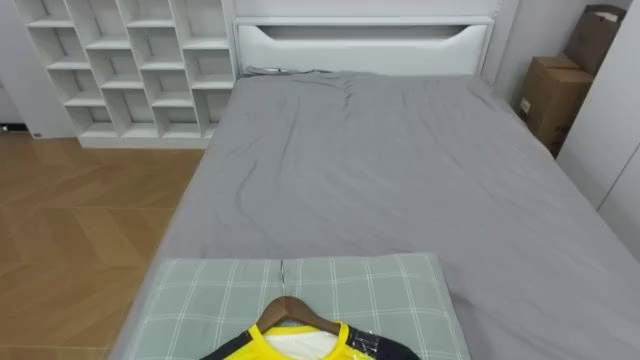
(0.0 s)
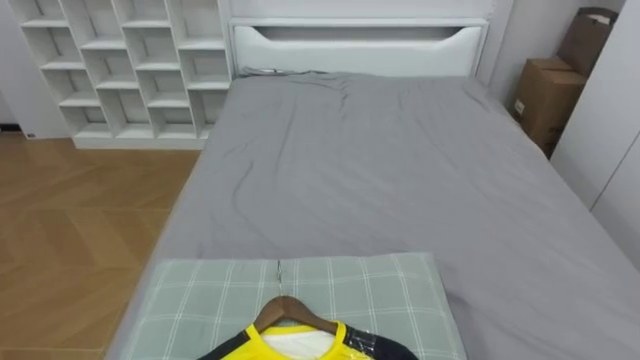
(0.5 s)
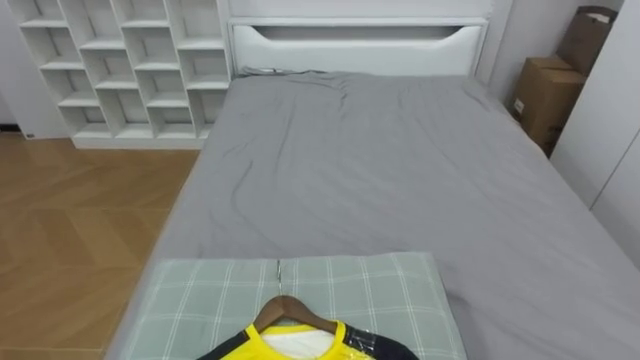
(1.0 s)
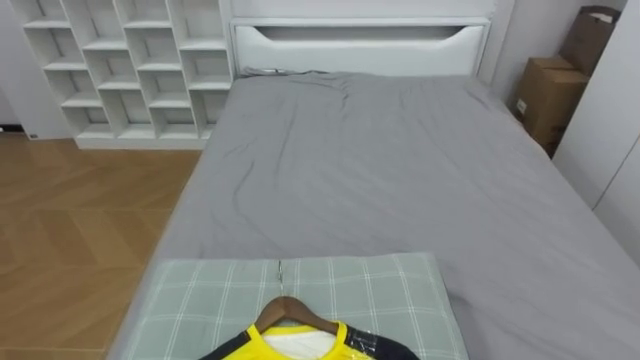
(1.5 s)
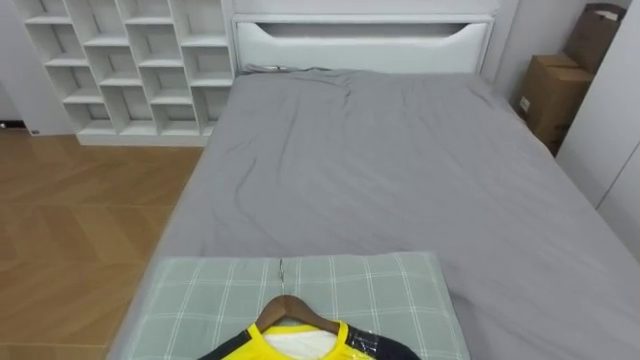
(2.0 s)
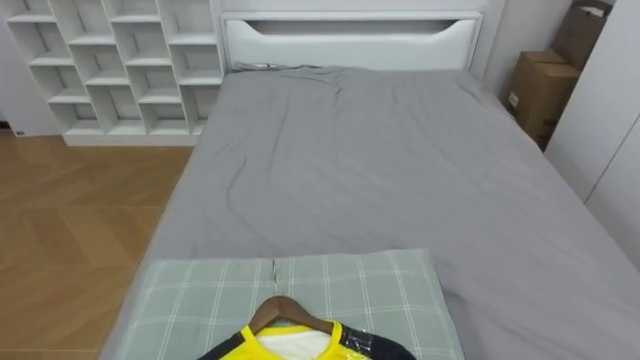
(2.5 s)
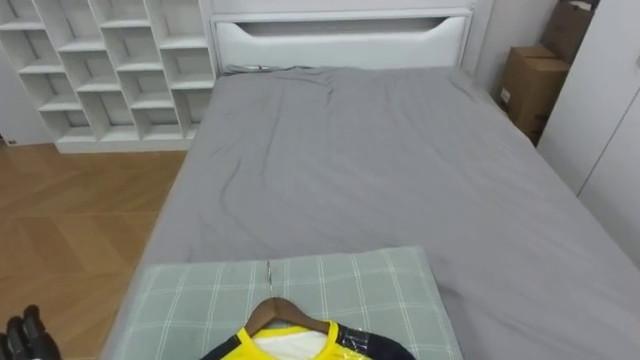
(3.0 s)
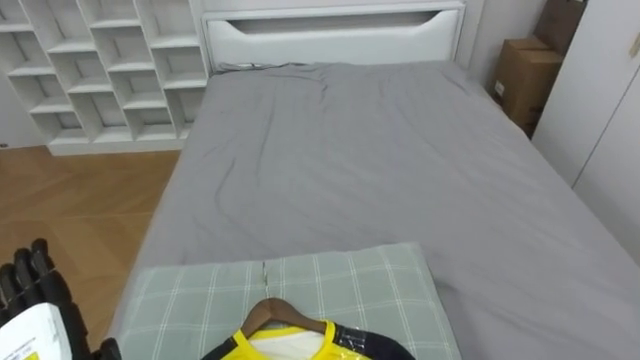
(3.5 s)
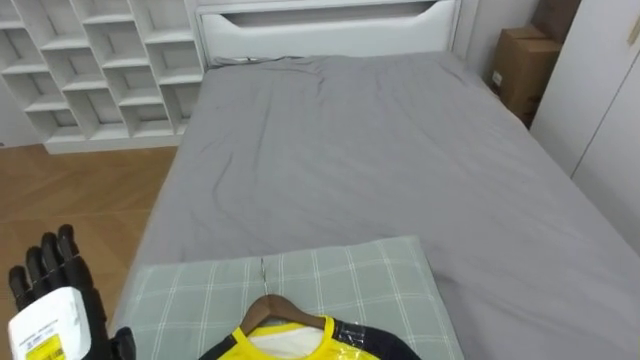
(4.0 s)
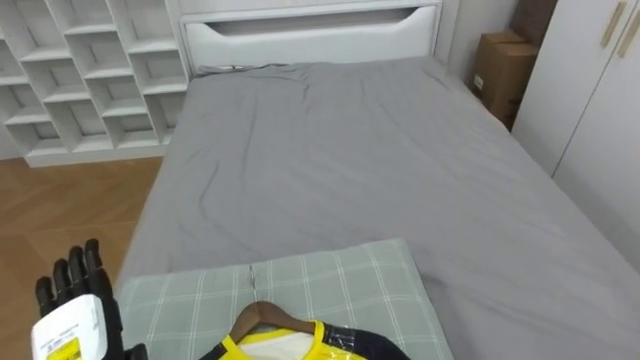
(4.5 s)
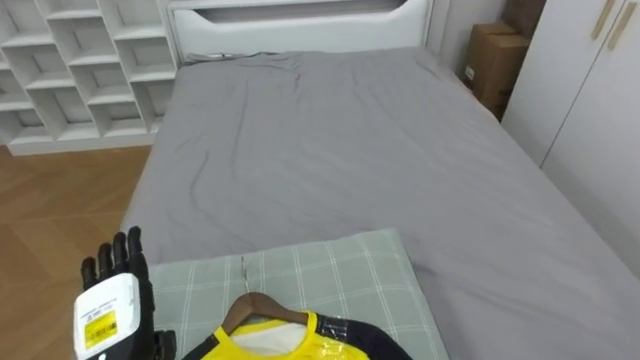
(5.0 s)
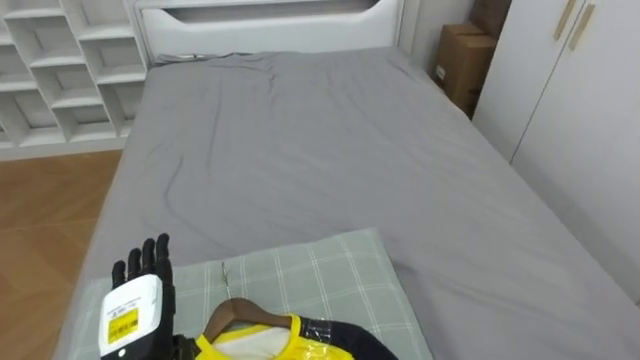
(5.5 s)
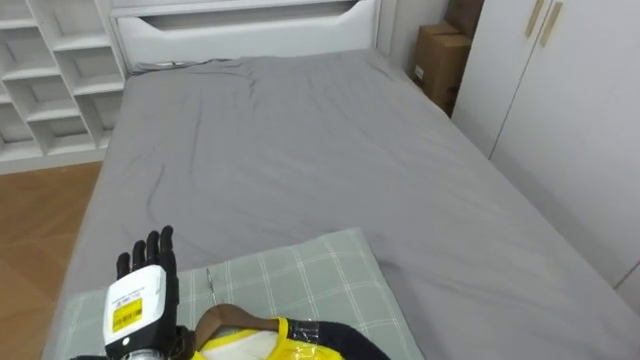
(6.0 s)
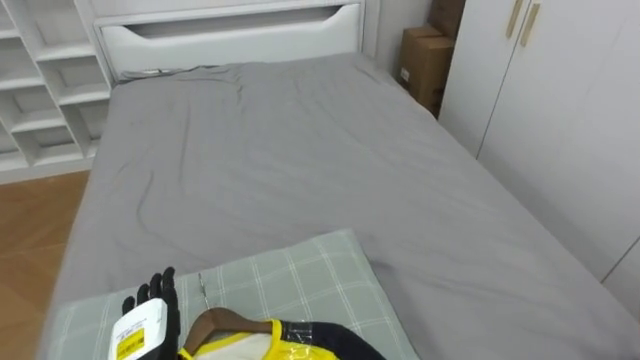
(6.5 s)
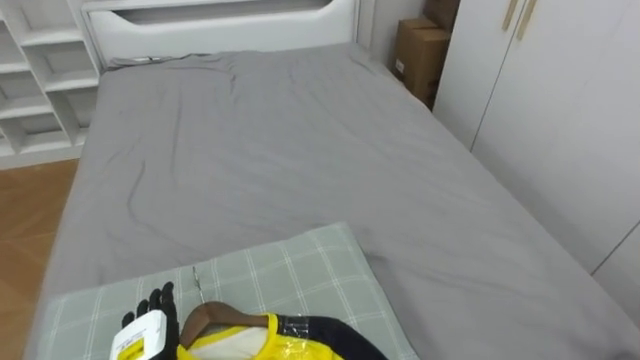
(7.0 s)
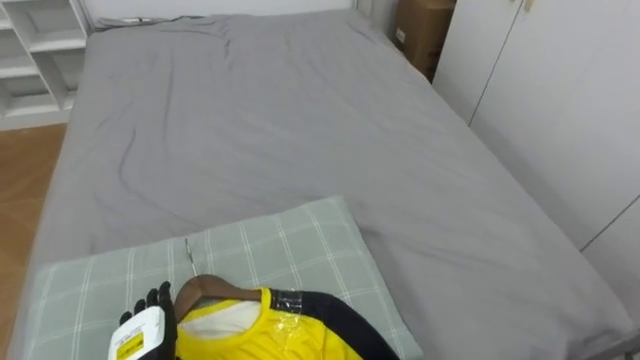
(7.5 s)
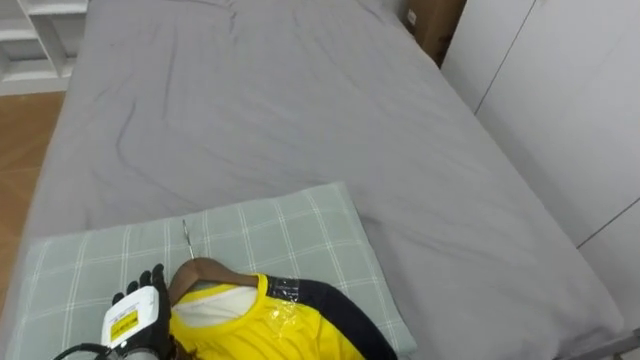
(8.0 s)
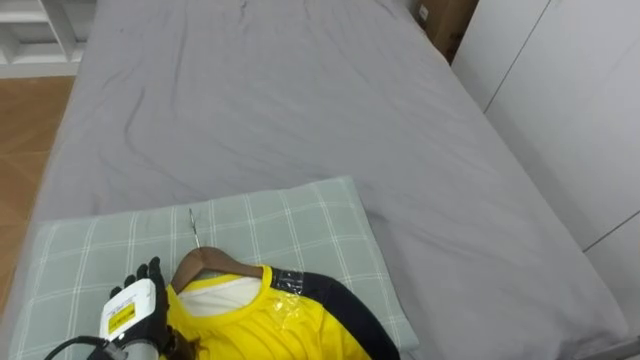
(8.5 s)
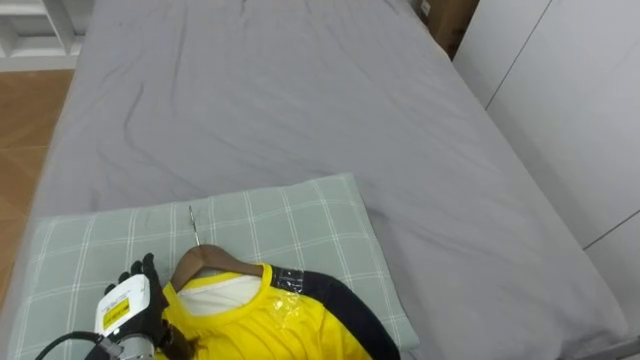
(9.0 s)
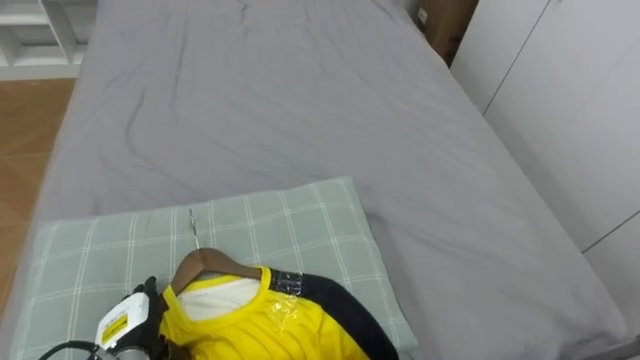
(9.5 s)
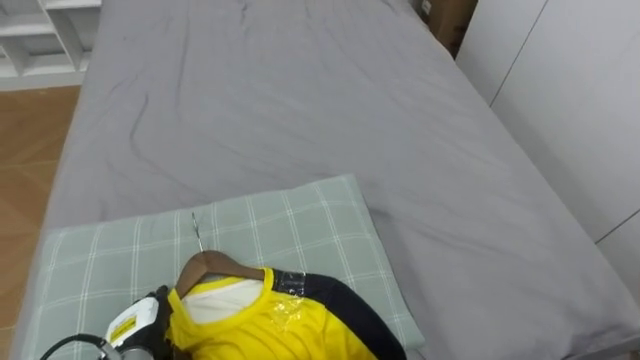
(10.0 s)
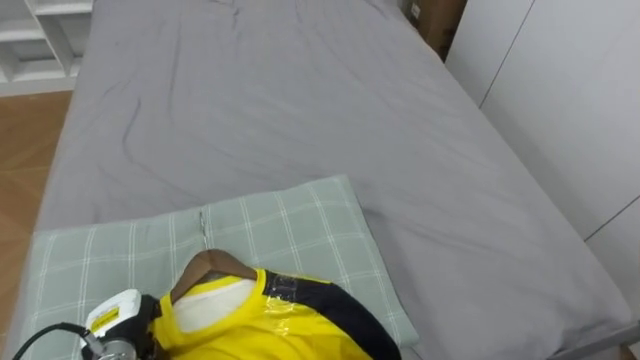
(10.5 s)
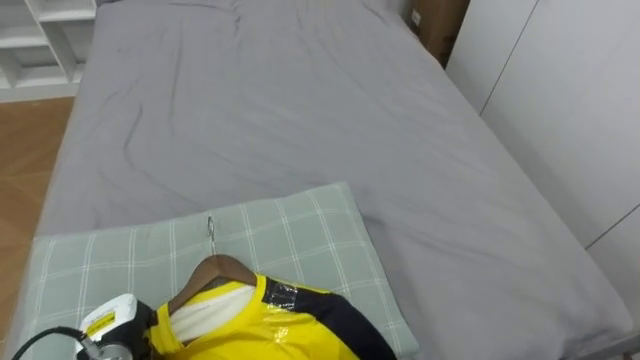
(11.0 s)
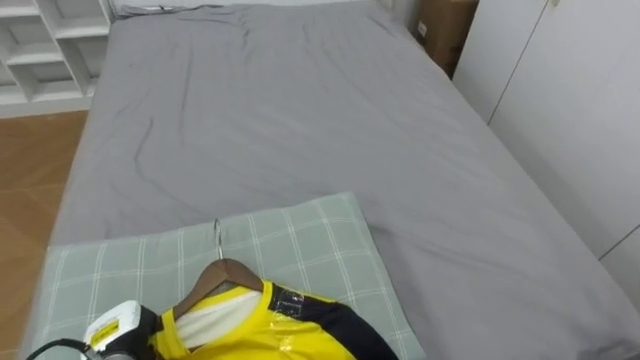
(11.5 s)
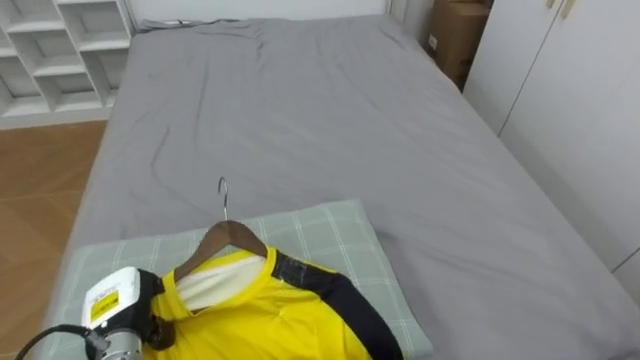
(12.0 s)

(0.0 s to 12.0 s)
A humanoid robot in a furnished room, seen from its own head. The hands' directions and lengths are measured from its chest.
Task of the whole recording: Pick up the yellow shirt on the bed and hang it on the clothes rack on the right.
4.0 s - 6.0 s: The left hand moves to the right and forward, about 10 cm.
6.0 s - 8.0 s: The left hand heads downward, covering roughly 5 cm.
10.0 s - 12.0 s: The left hand closes up.

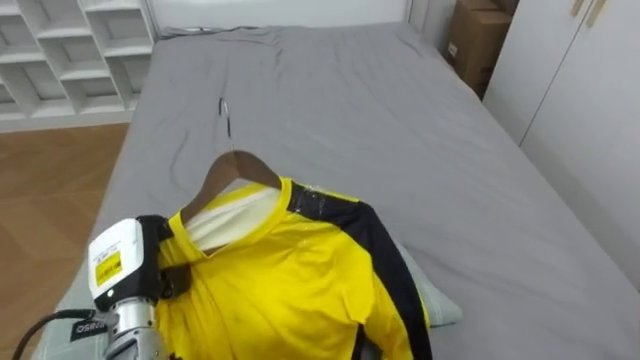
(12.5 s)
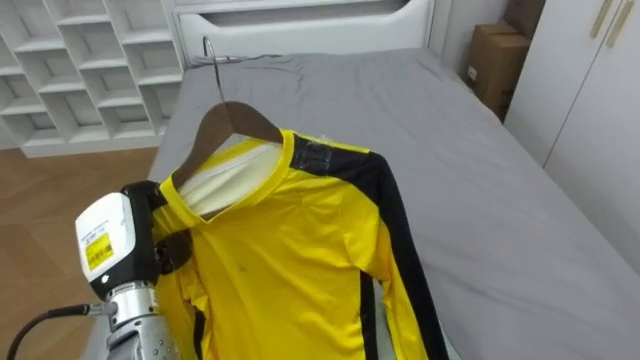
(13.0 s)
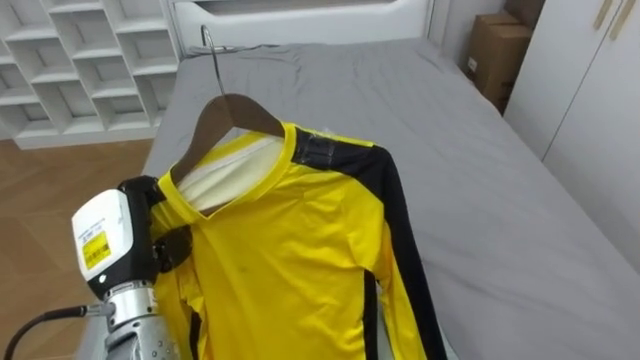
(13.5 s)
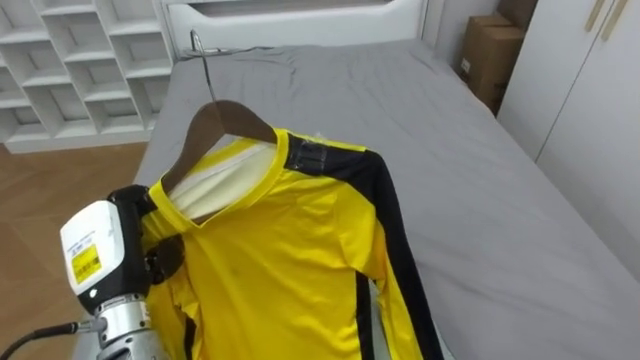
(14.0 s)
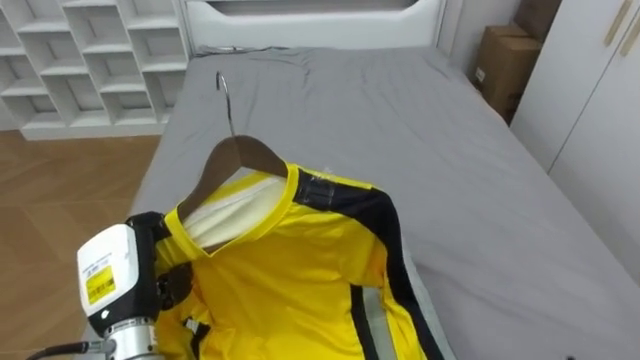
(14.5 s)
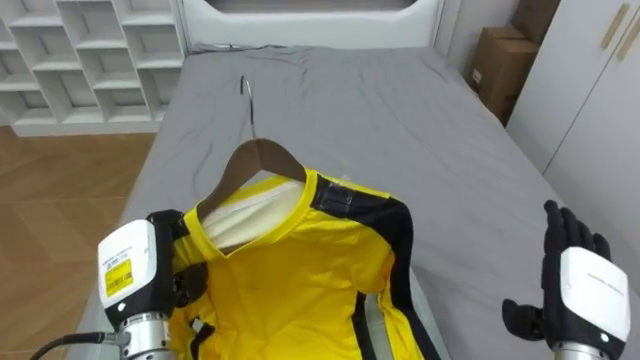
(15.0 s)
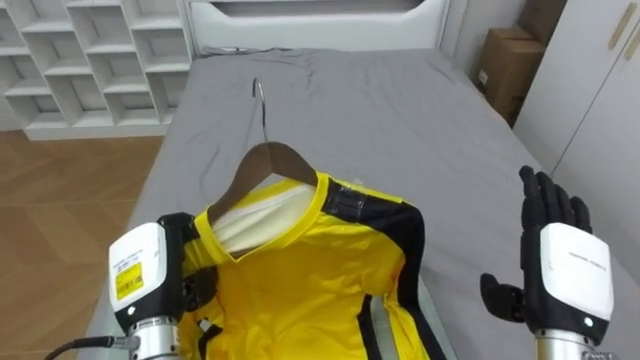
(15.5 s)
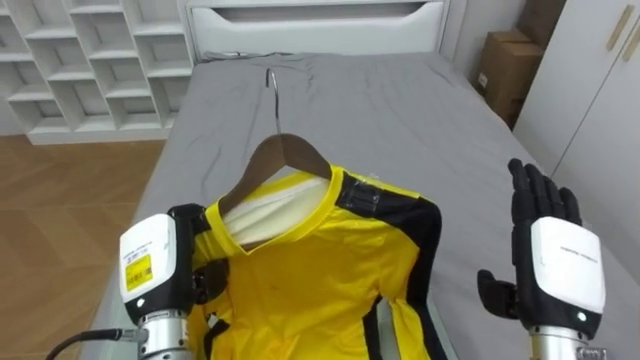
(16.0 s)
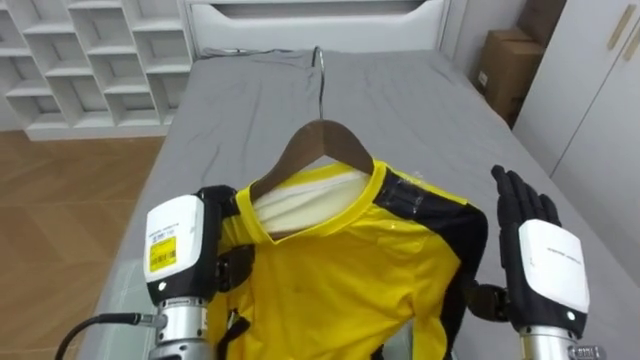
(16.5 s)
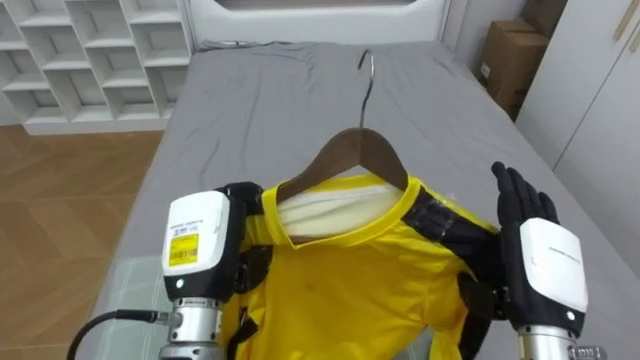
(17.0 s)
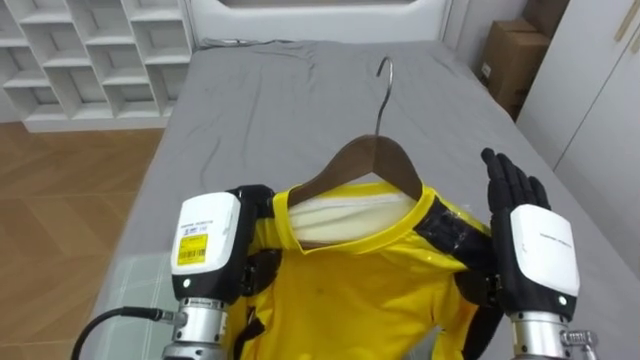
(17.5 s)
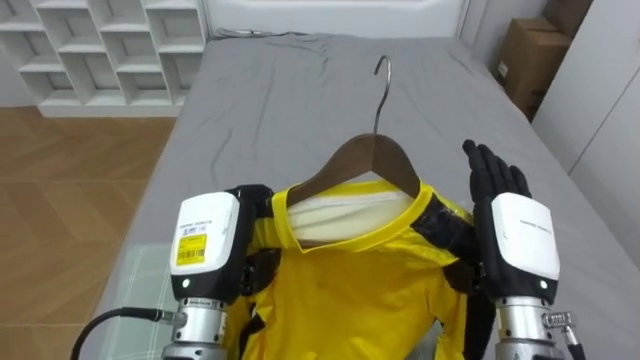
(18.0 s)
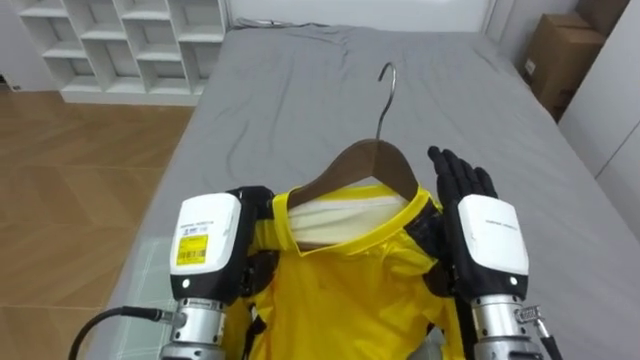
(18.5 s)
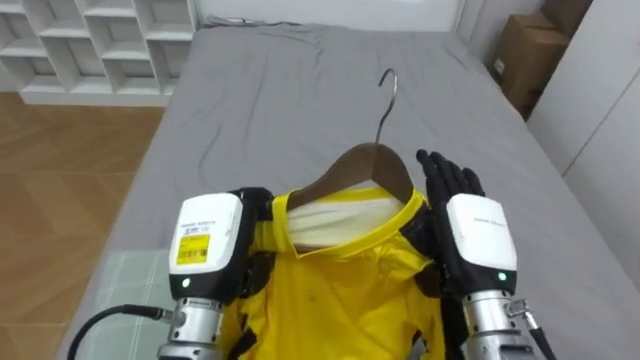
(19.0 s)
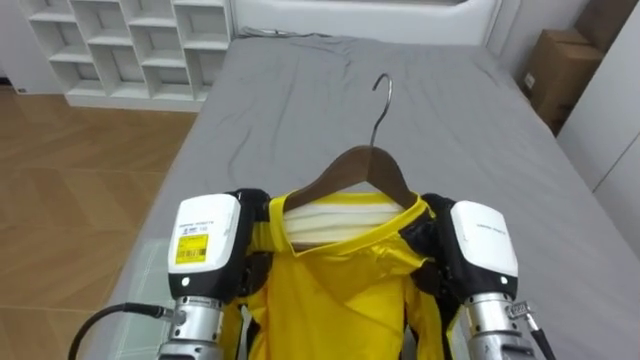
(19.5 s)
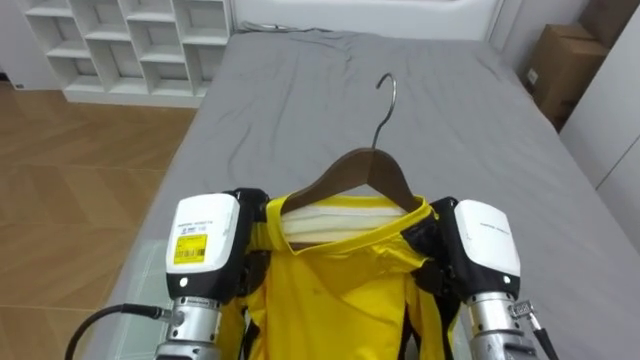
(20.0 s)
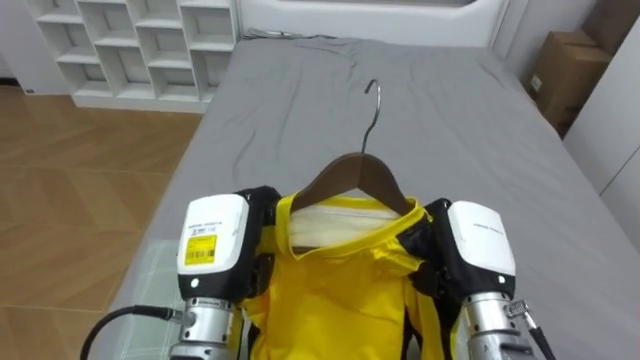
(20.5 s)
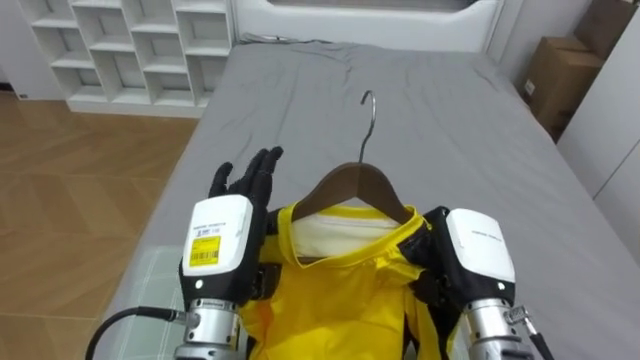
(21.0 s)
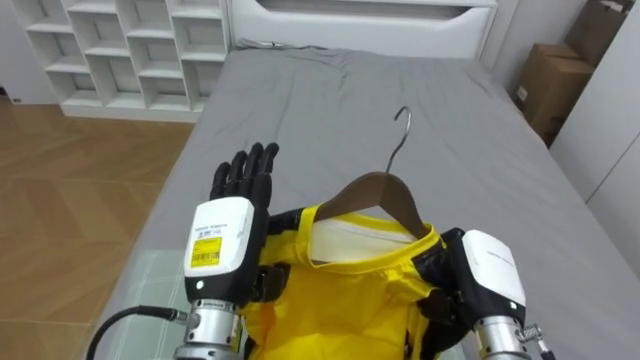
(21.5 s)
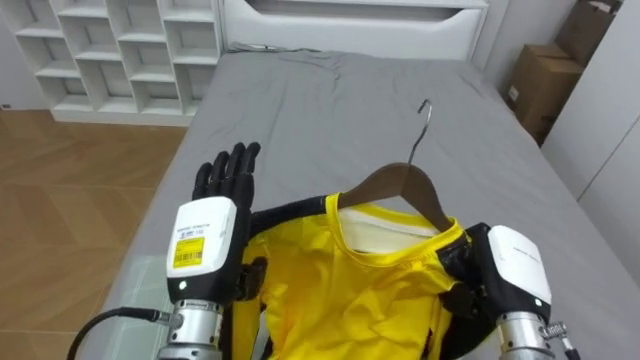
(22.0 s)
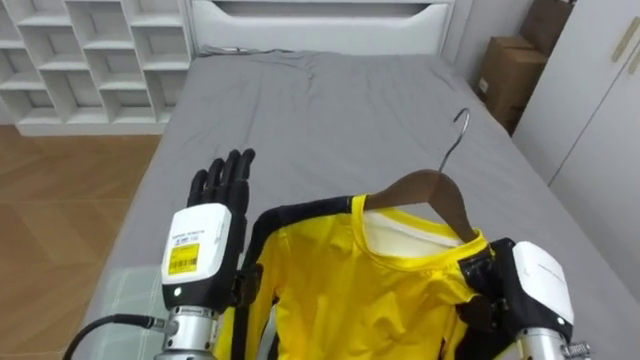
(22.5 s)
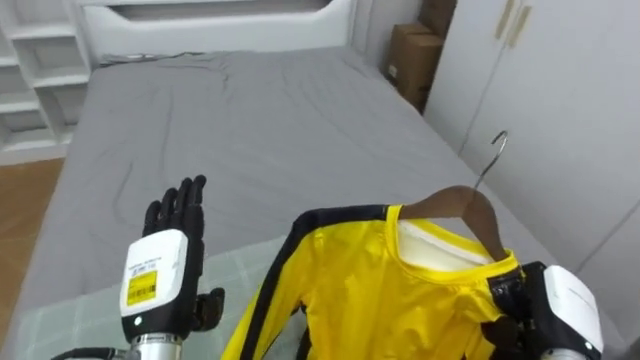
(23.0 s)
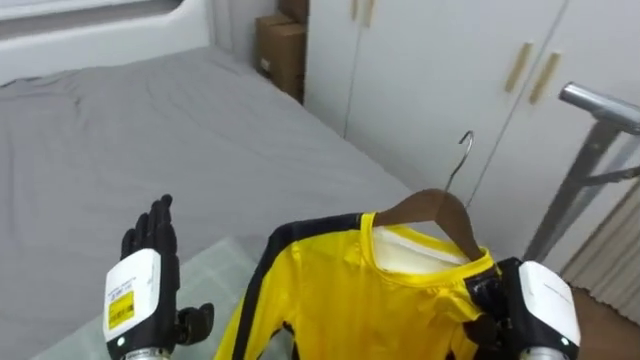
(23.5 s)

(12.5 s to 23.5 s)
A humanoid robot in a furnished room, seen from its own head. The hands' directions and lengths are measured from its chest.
Task of the whole recording: Pick up the yellow shirt on the bed and hang it on the clothes rack on the right.
16.0 s - 18.0 s: The left hand travels to the right by approximately 5 cm.
18.0 s - 20.0 s: The right hand closes its fingers.
20.0 s - 21.5 s: The left hand opens.
21.5 s - 23.5 s: The robot turns to its right by roughly 40 degrees. The right hand travels to the right by some 5 cm; the left hand is displaced to the left and downward by about 10 cm.
